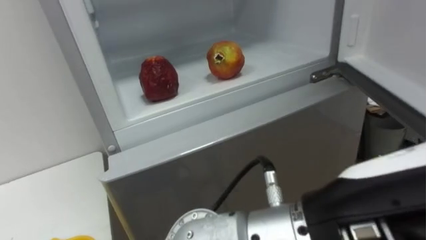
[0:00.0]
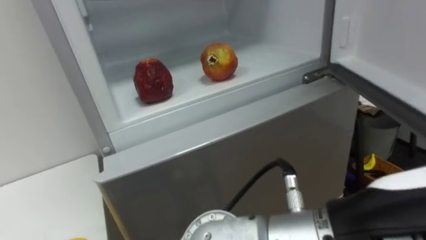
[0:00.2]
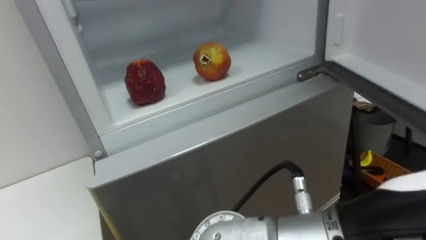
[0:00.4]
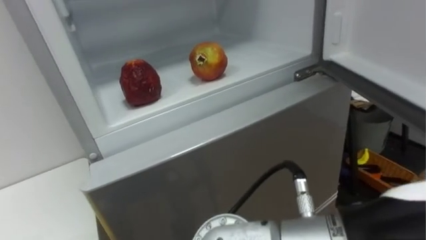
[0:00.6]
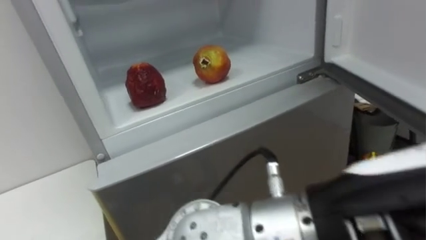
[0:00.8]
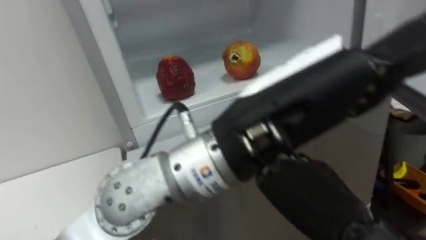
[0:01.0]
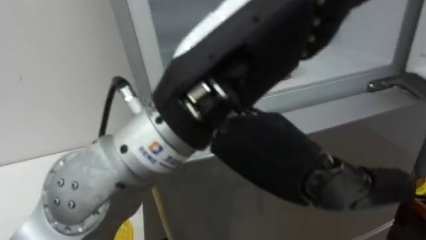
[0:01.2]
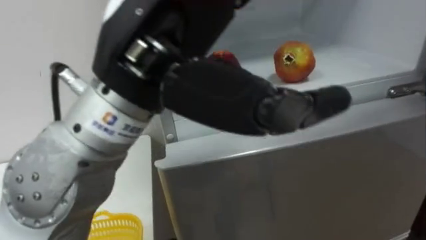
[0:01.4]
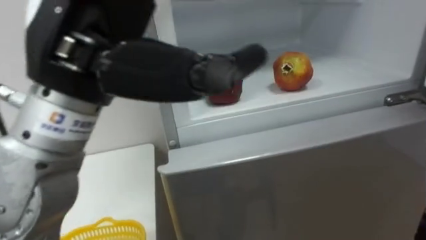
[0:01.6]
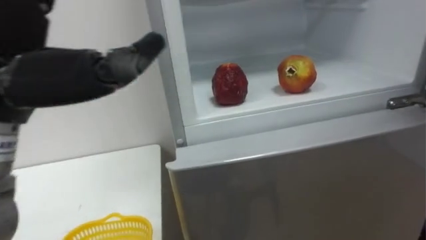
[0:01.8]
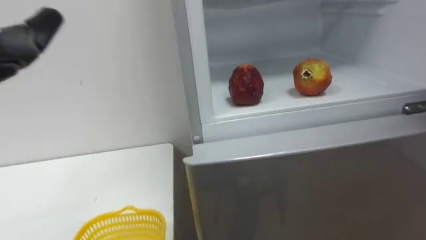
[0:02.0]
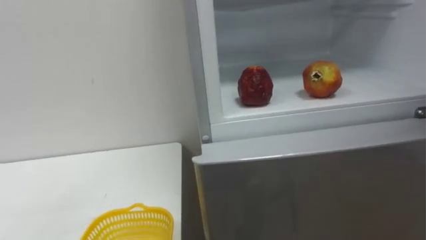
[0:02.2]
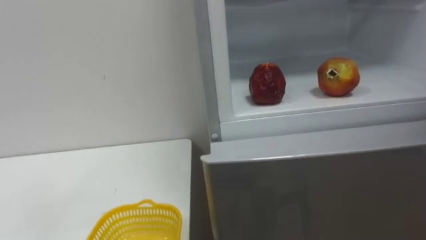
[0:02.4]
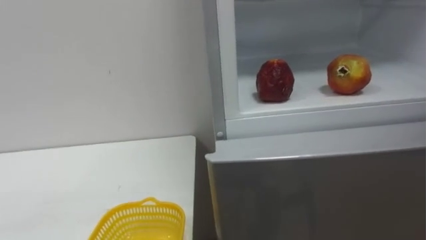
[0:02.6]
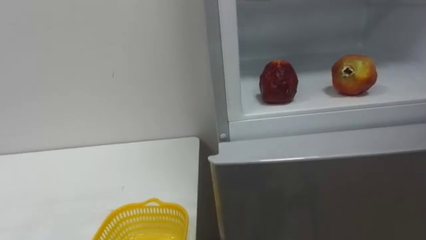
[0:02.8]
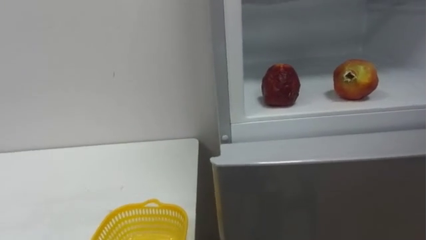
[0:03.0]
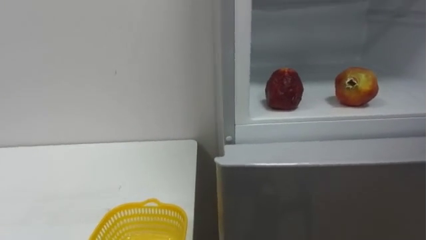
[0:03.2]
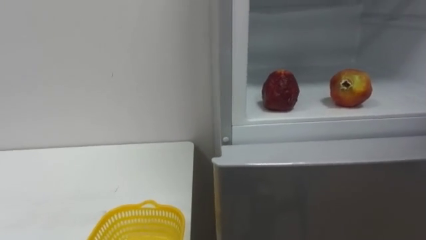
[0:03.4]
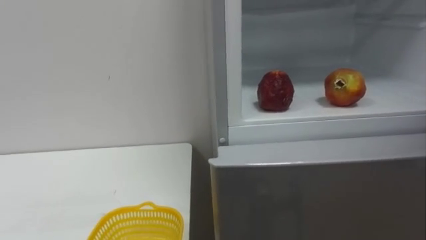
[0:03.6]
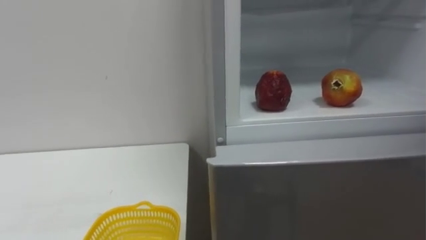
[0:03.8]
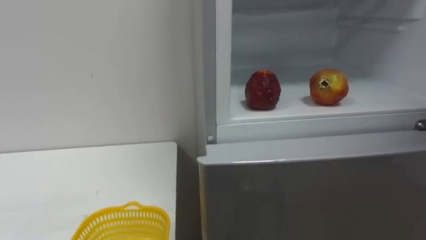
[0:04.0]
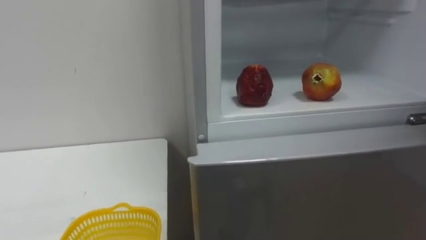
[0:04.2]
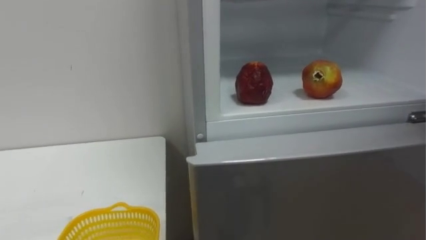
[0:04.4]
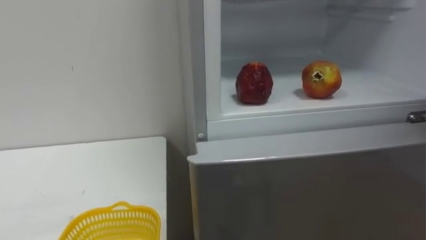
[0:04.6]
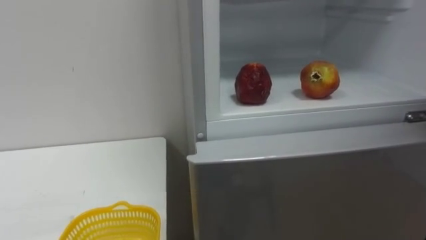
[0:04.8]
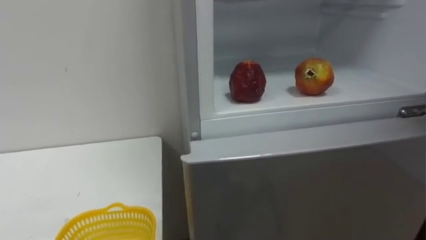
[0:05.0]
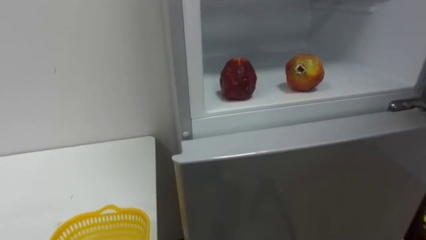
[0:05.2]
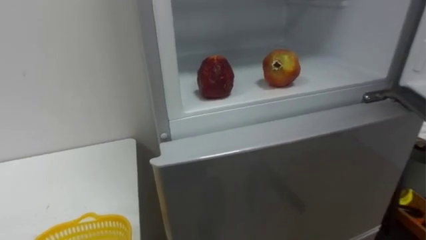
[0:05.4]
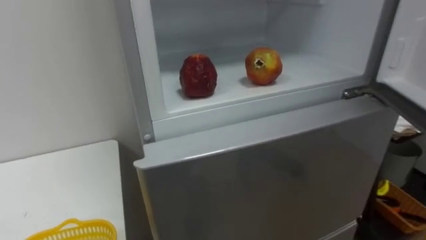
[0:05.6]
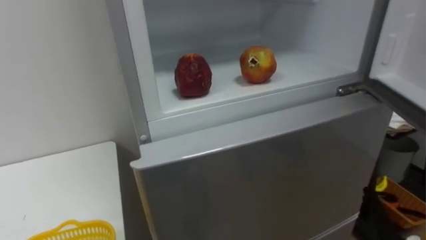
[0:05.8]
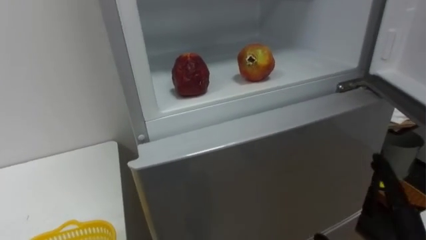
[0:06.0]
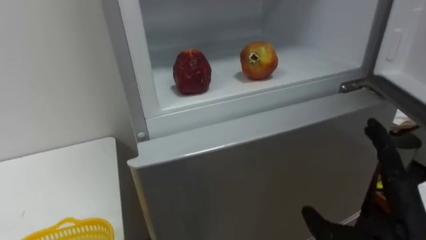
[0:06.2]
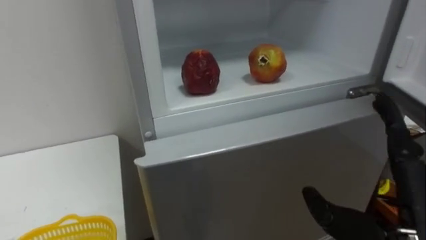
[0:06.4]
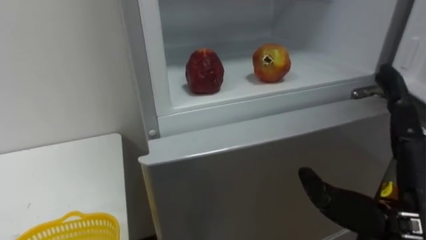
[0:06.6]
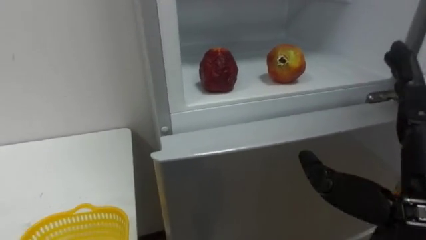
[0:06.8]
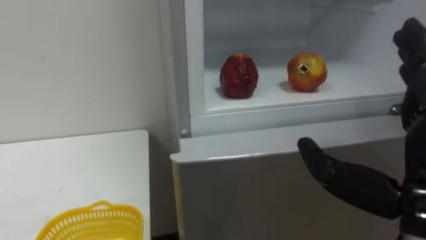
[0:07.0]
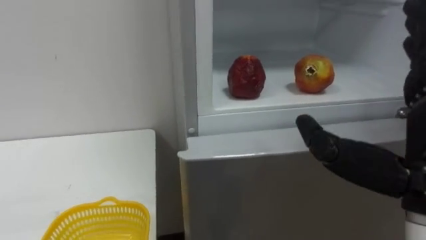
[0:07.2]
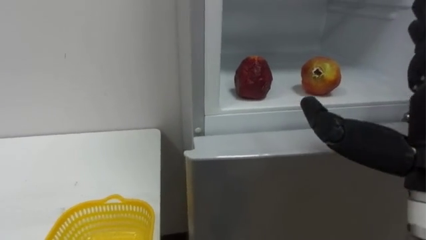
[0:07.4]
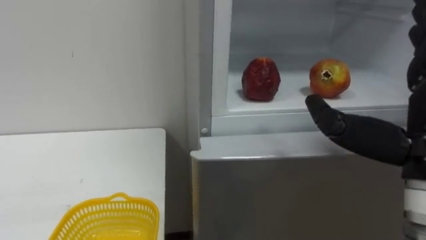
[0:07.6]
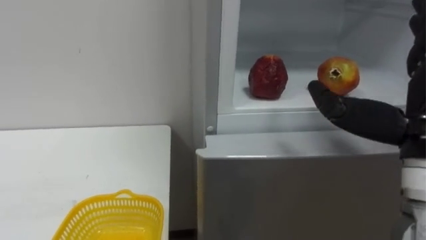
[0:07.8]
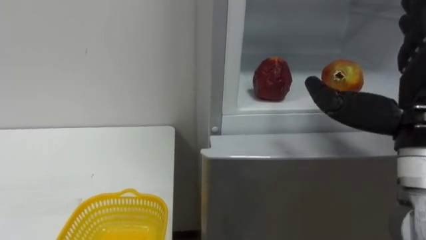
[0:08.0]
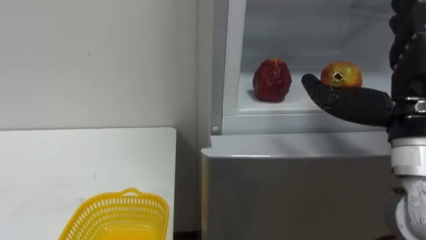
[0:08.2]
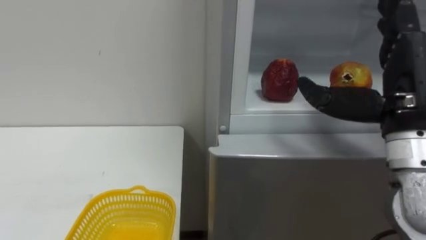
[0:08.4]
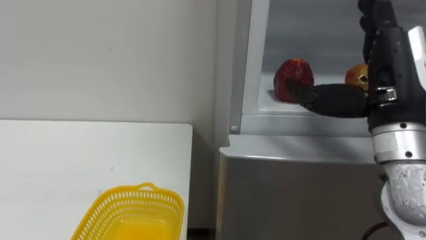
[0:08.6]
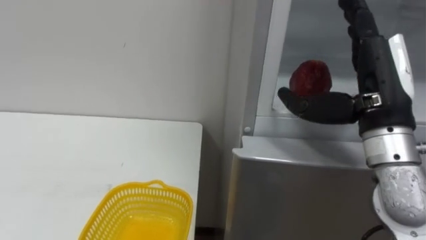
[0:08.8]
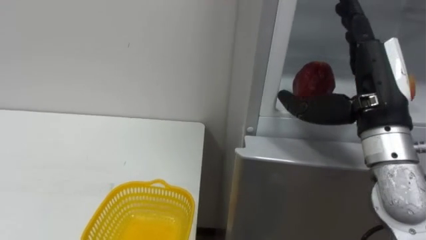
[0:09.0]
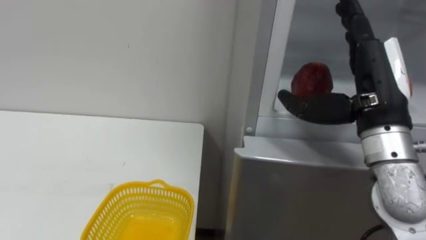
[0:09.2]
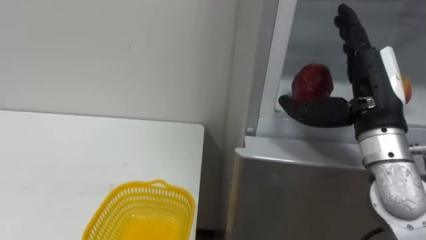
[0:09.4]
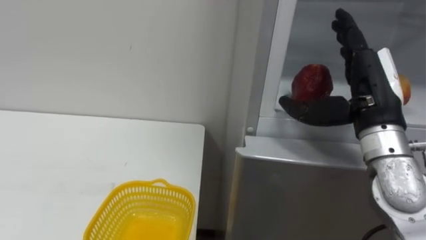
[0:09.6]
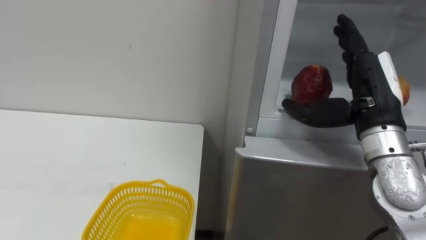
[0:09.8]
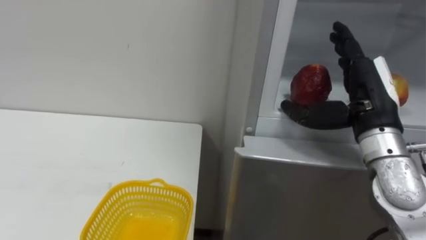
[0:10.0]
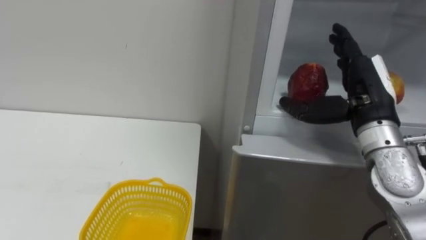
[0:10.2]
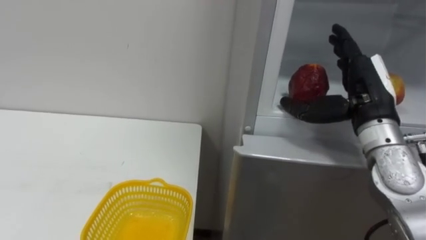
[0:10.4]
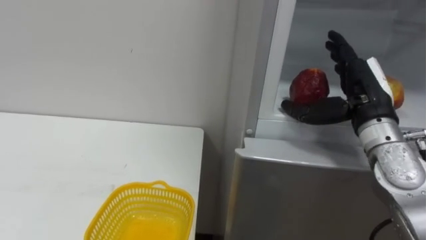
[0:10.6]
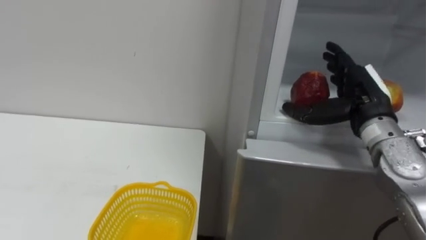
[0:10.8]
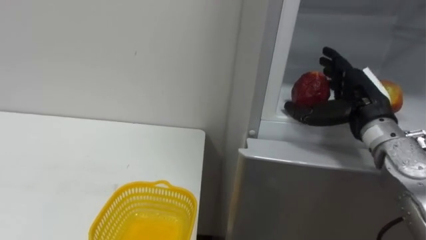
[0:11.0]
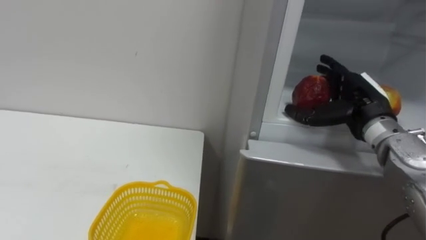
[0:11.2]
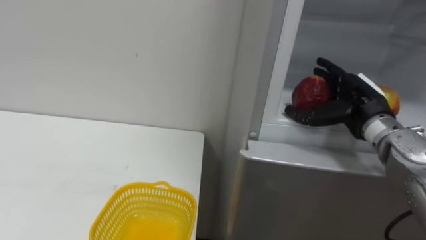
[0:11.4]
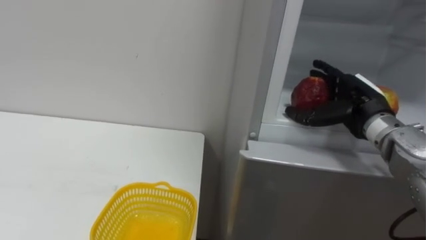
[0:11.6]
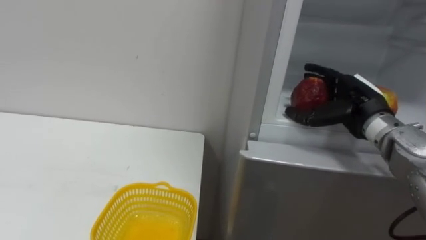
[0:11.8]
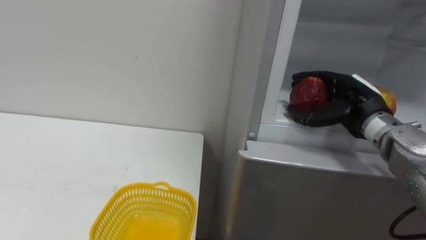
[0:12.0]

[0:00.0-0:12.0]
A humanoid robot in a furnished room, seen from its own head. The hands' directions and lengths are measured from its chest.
Task of the whole recording: Open the refrigerator door, take out the apple and the pomegranate, place them in the fruit basket on the left, and close the refrigerator door.
0:00.0 to 0:01.6: The left hand travels to the left, forward and upward by roughly 25 cm.
0:07.6 to 0:09.0: The right hand moves forward, some 10 cm.
0:09.0 to 0:10.4: The right hand heads forward, covering roughly 5 cm.
0:10.4 to 0:12.0: The right hand is displaced forward by approximately 5 cm.

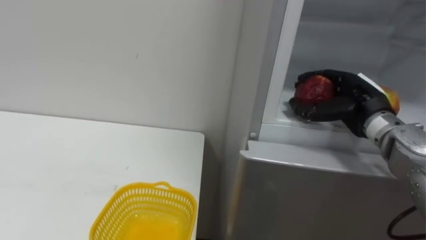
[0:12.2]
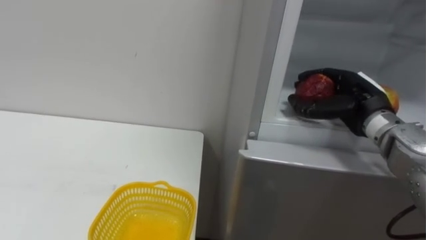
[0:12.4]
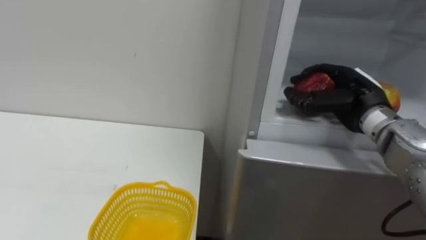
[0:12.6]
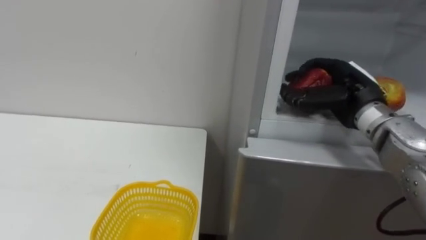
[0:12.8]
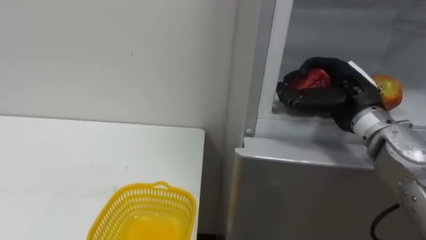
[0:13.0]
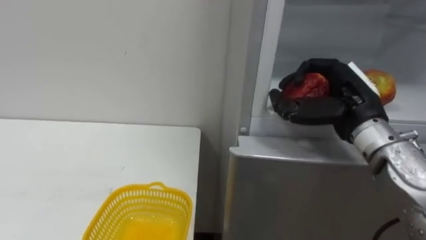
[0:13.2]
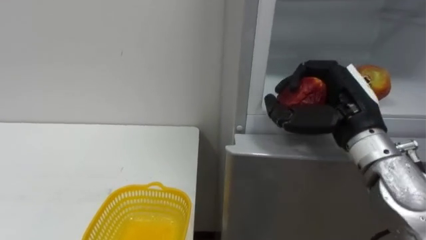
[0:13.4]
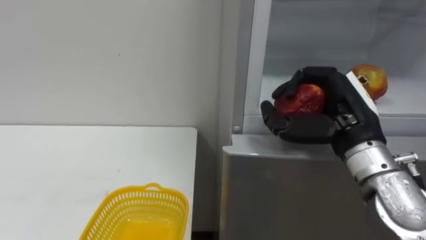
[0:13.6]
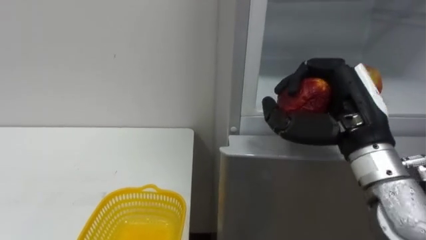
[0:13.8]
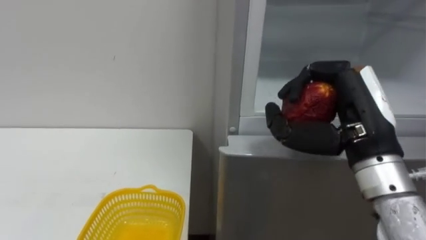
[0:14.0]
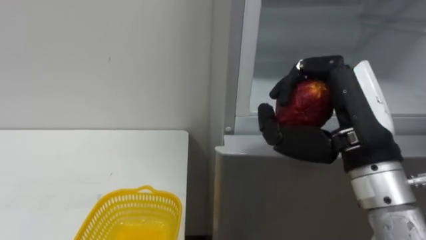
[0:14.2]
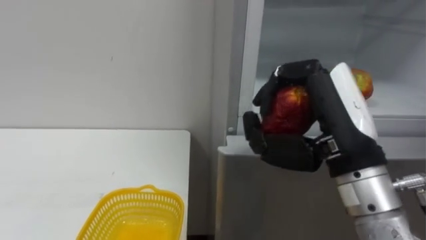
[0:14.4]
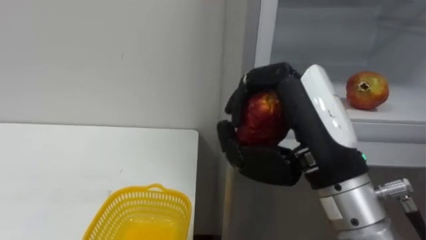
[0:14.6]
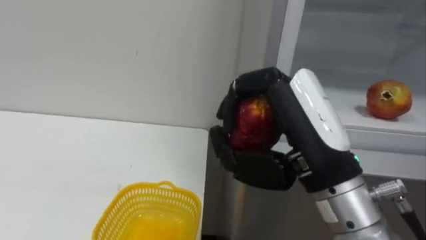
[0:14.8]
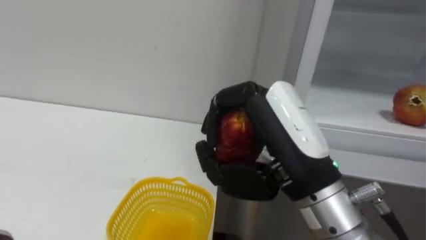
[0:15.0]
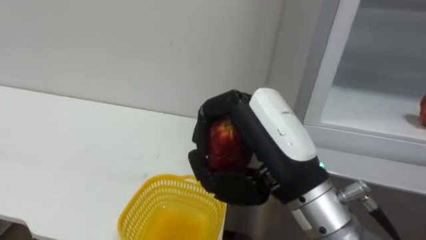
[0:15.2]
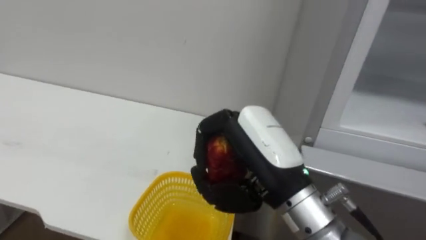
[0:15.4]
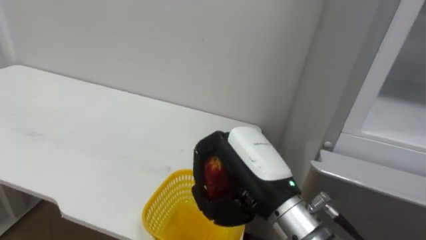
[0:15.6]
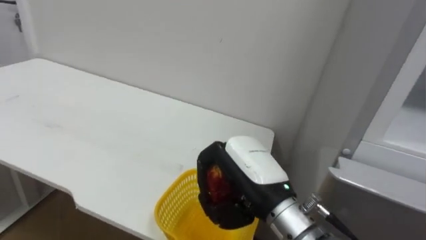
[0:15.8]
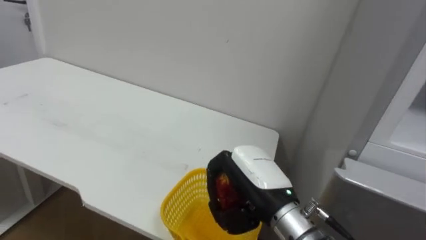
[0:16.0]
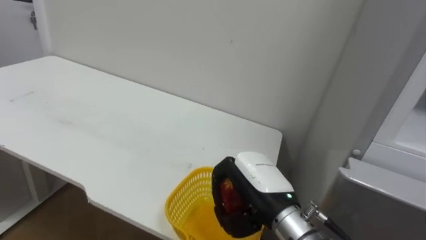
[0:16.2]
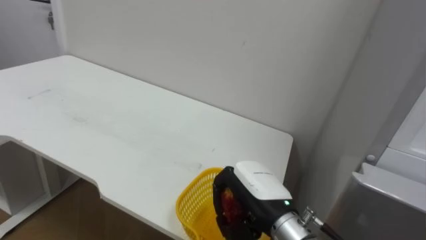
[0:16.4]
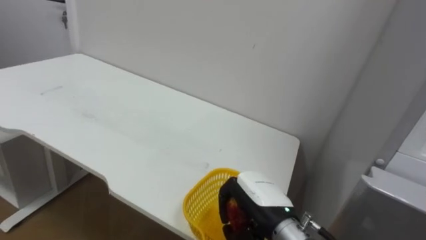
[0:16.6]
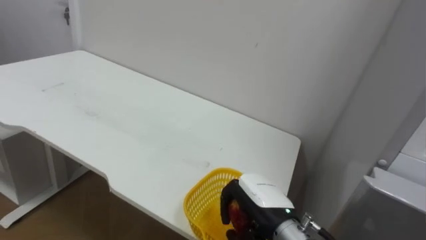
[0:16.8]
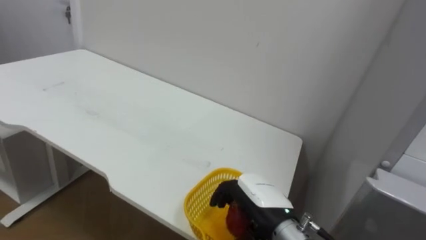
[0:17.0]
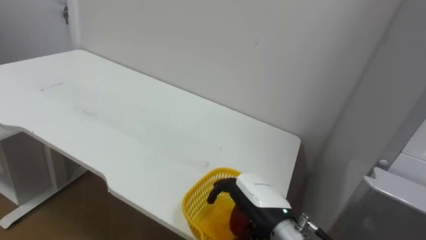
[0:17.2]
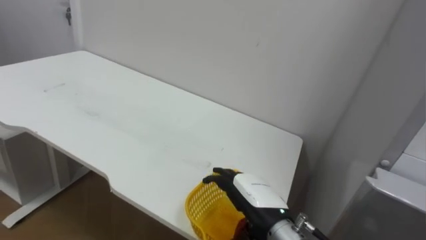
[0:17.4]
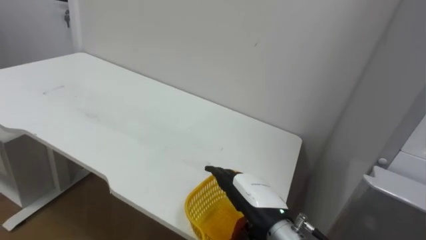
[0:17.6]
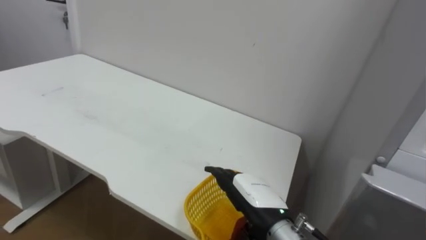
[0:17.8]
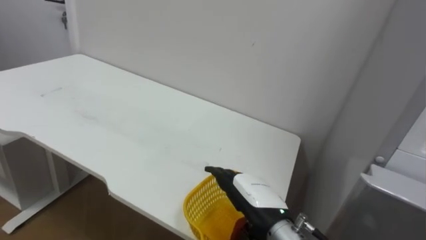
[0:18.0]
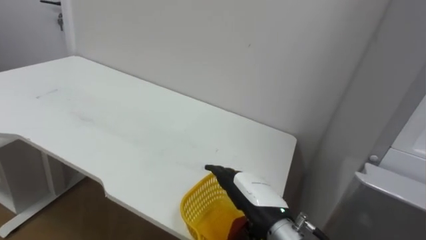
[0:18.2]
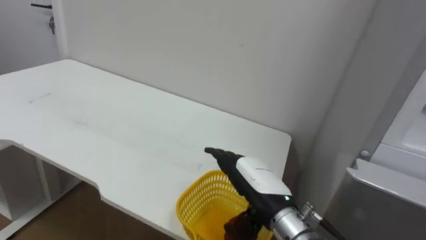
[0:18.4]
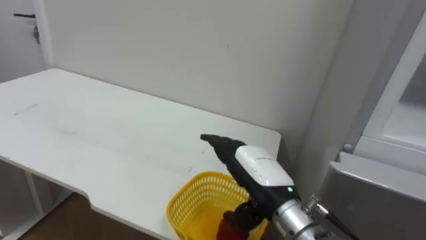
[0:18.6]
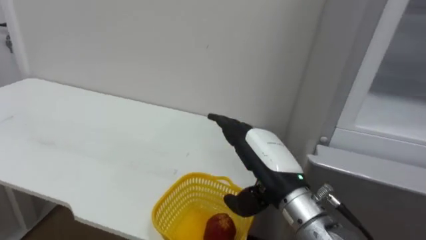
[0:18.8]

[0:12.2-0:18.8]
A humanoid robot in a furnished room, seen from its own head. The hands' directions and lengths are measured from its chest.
Task of the whole recording: Open the refrigerator door, take out the apple and the pomegranate, place them in the fruit basket on the left, and close the refrigerator door.
0:12.2 to 0:13.8: The right hand travels backward and to the left by some 10 cm.
0:13.8 to 0:15.4: The right hand goes some 15 cm to the left and backward.
0:15.4 to 0:17.2: The right hand is displaced downward by some 15 cm, and opens.
0:17.2 to 0:18.8: The right hand heads upward, covering roughly 10 cm.
